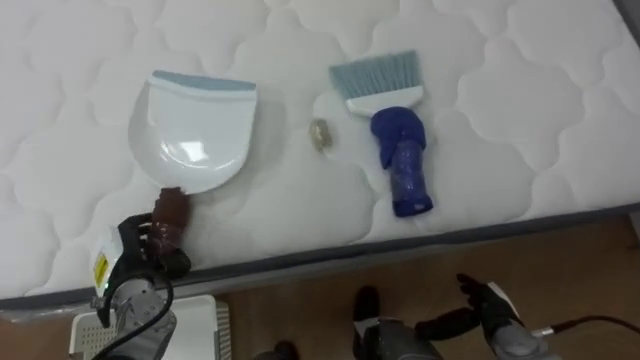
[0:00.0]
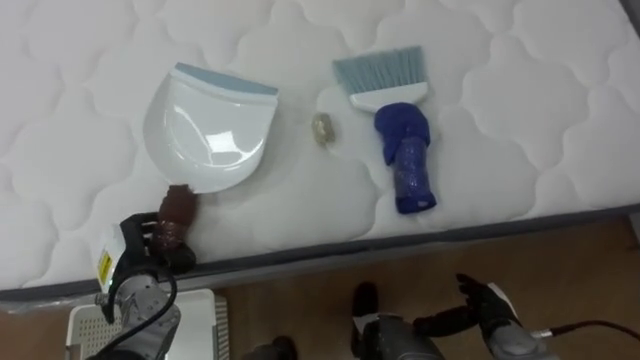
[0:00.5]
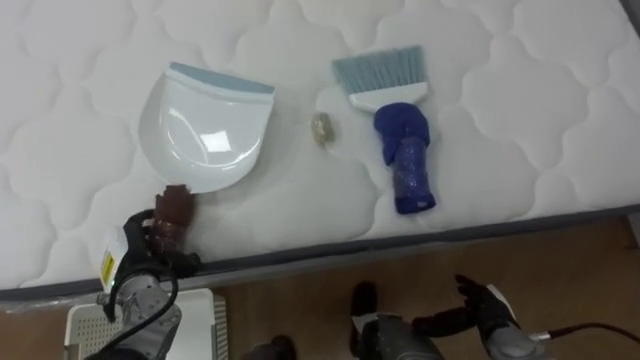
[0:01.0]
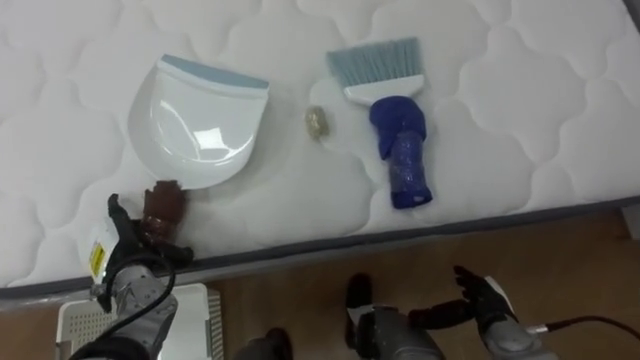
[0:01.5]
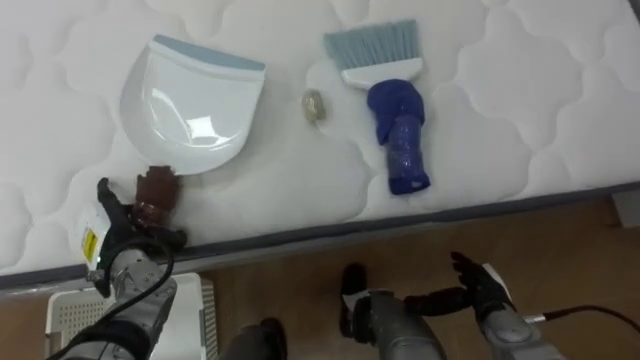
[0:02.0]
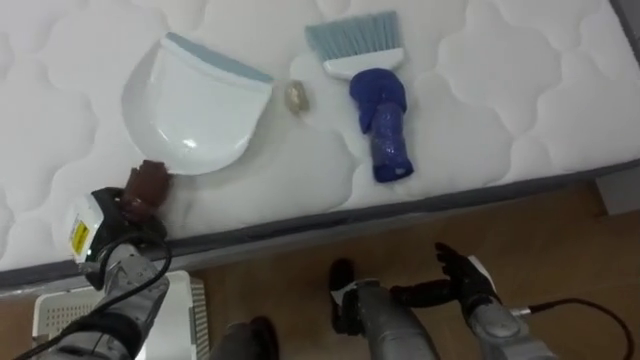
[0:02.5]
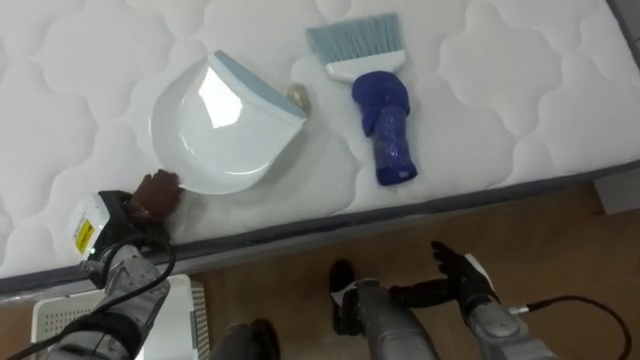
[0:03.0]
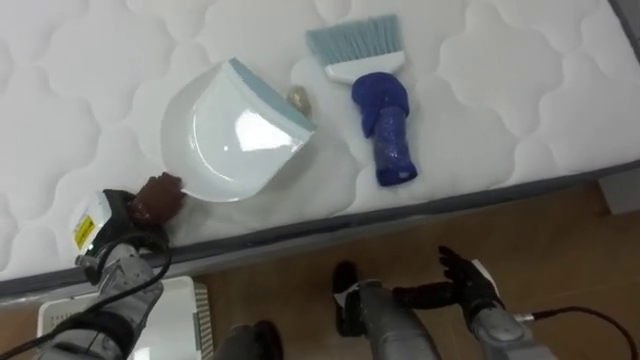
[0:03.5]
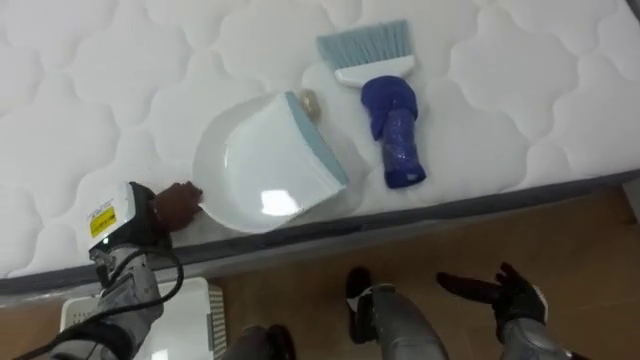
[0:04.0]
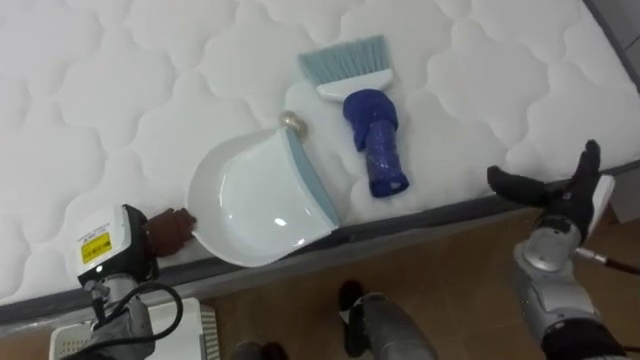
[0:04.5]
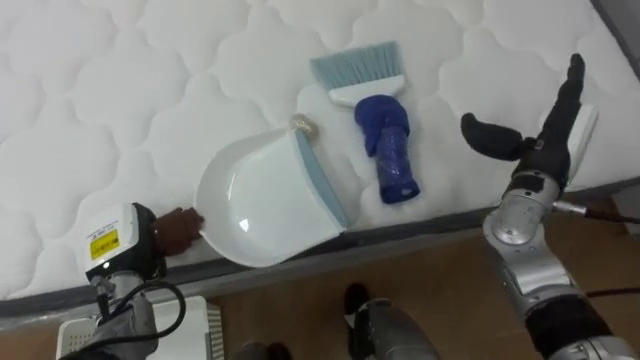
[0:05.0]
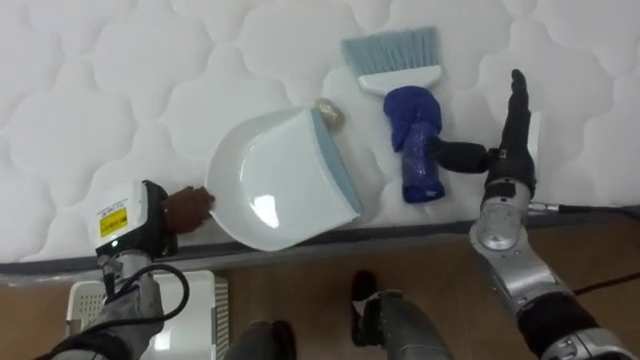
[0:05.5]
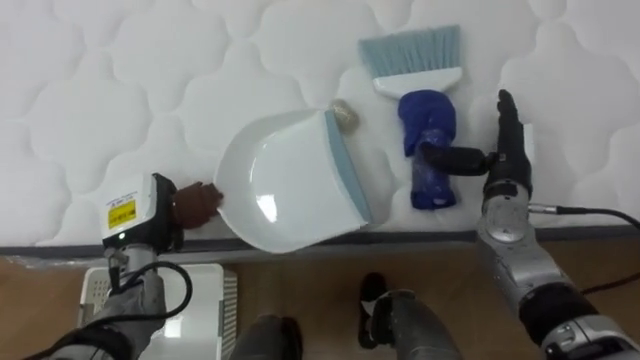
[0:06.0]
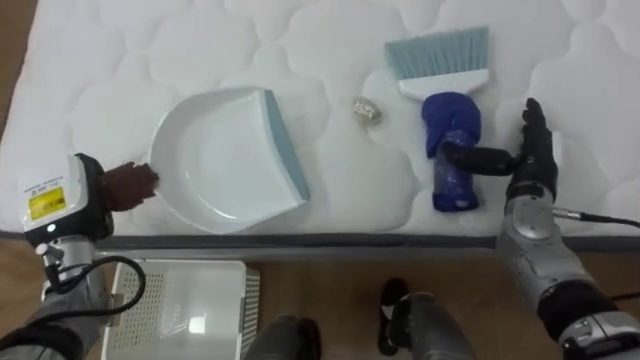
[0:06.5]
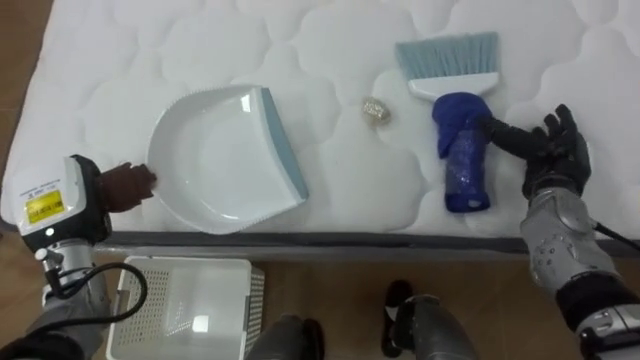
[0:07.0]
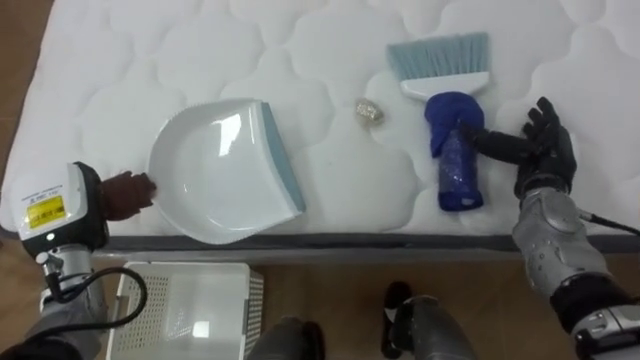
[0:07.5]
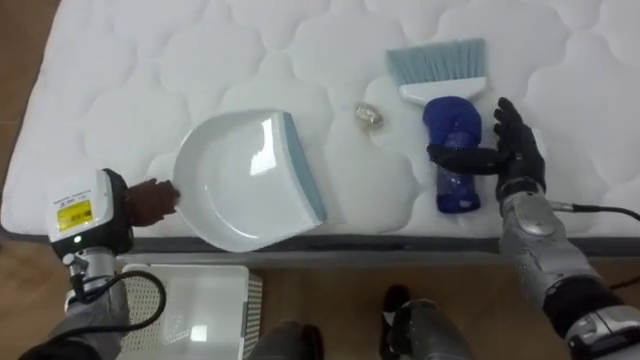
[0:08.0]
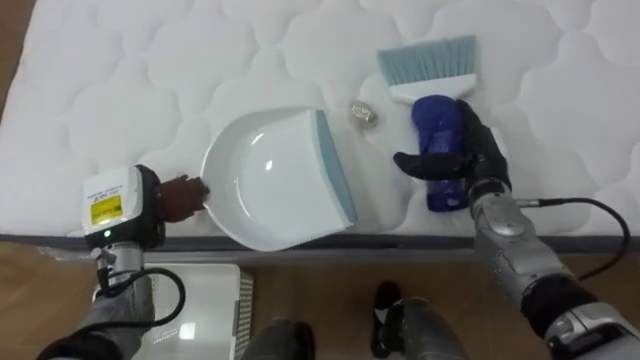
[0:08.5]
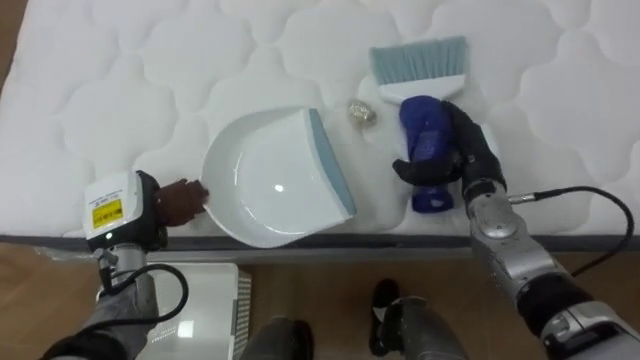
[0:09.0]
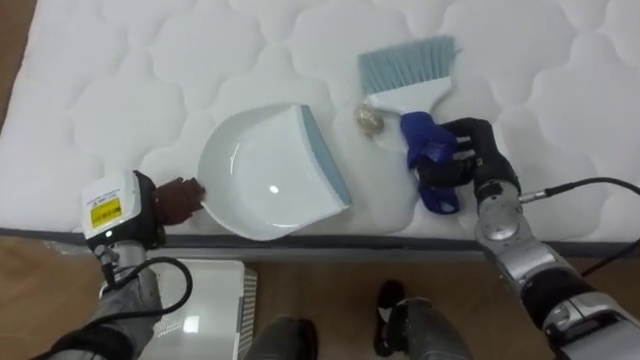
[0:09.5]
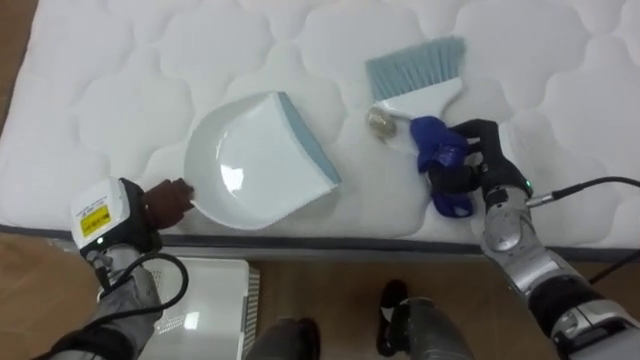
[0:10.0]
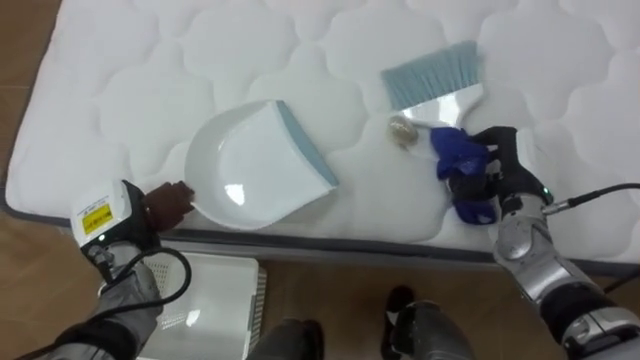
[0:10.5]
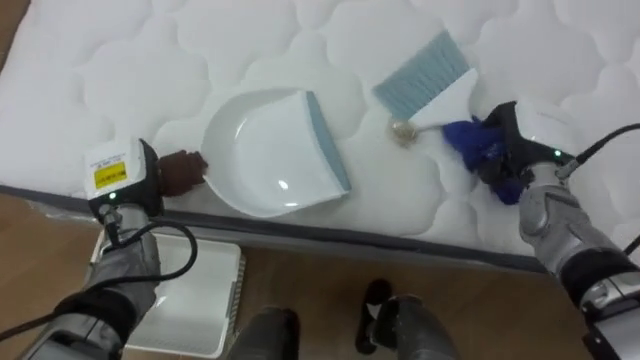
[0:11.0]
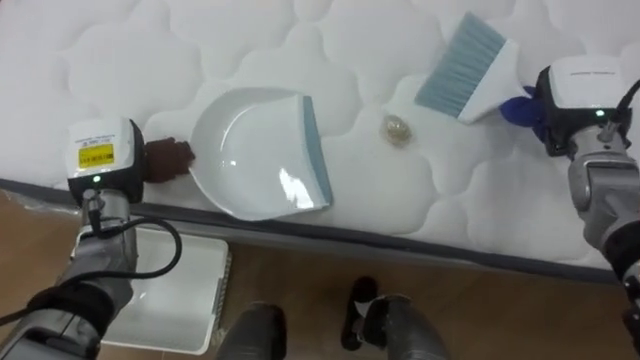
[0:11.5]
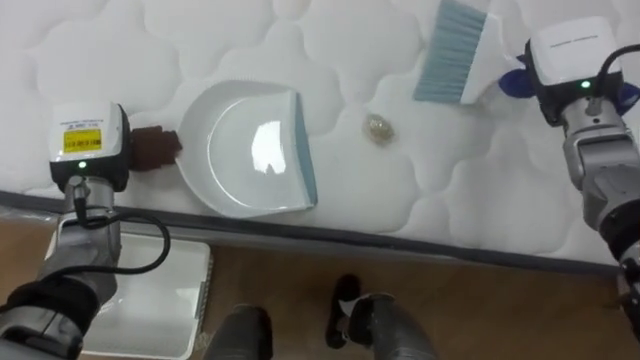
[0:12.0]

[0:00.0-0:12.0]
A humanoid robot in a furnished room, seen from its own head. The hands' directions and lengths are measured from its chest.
Task of the whole recording: Pick up the brush on your right and the dustpan on your left. Use the brush to sweep the crumpled paper on the bed into the dustpan, then turn left and empty it into the basket.
0:00.0 to 0:02.0: The left hand opens.
0:02.0 to 0:04.0: The left hand closes.
0:04.0 to 0:06.0: The right hand shifts some 20 cm upward and forward.
0:08.0 to 0:10.0: The right hand closes its fingers.
0:10.0 to 0:12.0: The left hand is displaced upward and forward by some 10 cm; the right hand shifts some 15 cm upward, forward and to the right.

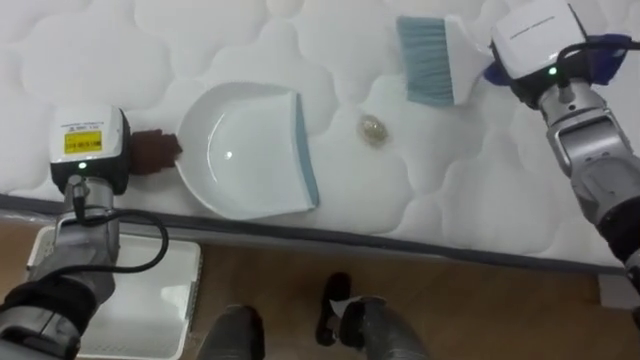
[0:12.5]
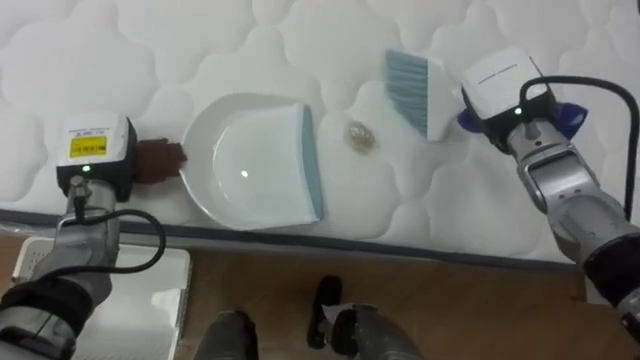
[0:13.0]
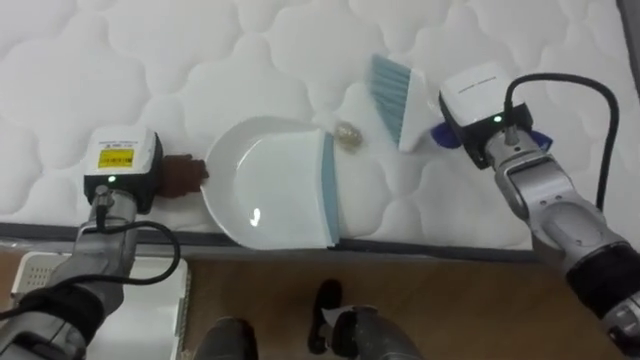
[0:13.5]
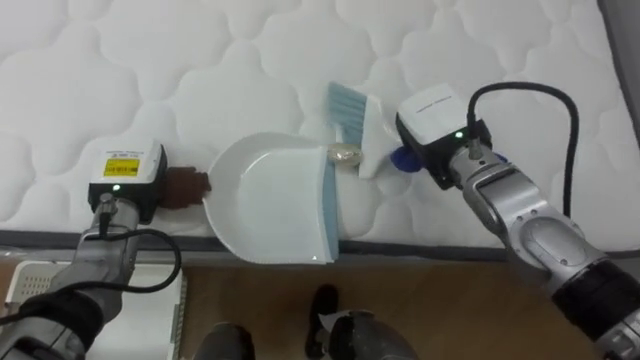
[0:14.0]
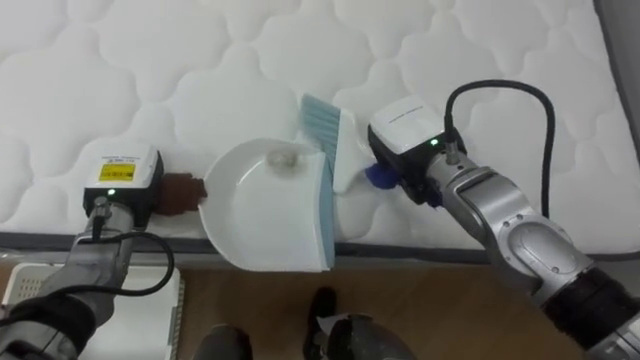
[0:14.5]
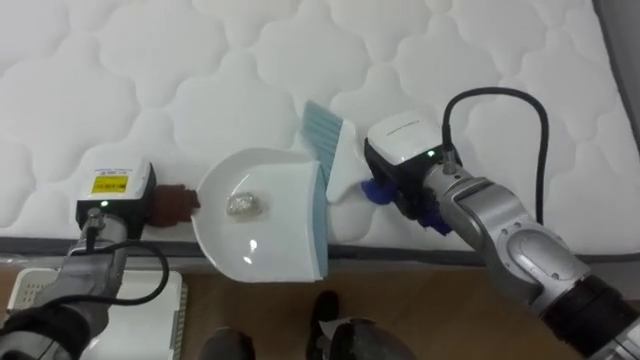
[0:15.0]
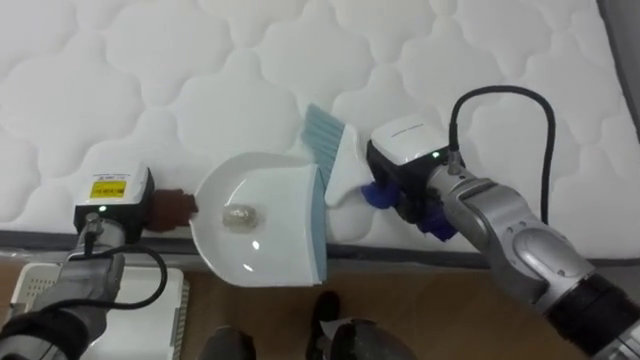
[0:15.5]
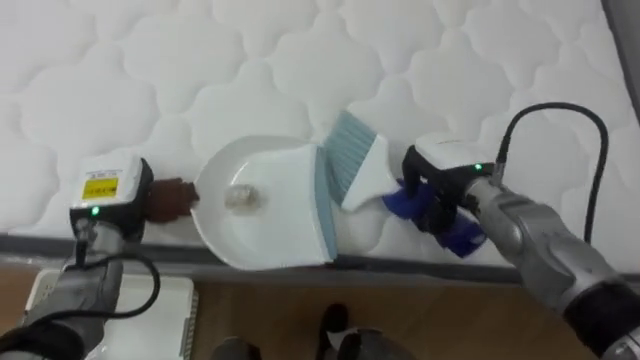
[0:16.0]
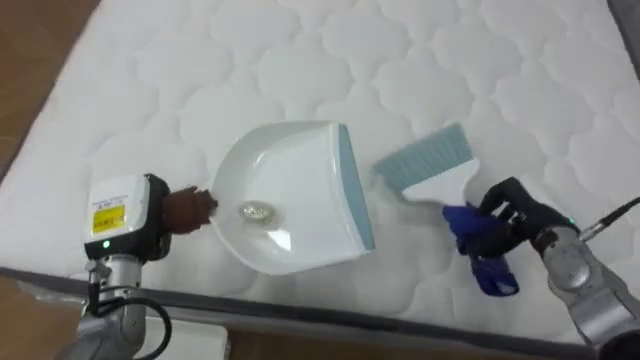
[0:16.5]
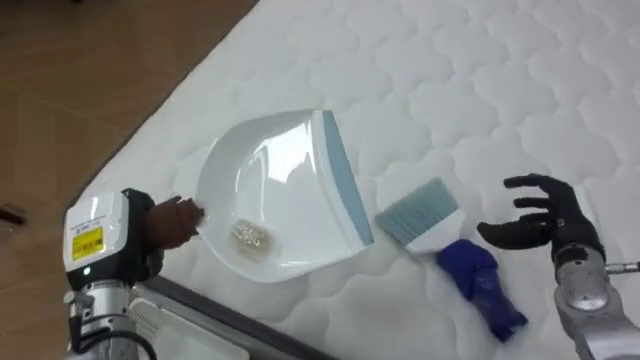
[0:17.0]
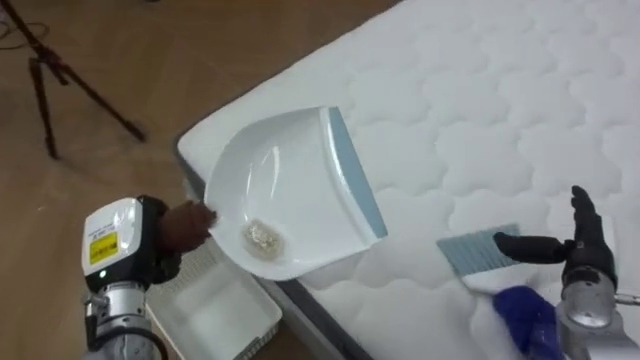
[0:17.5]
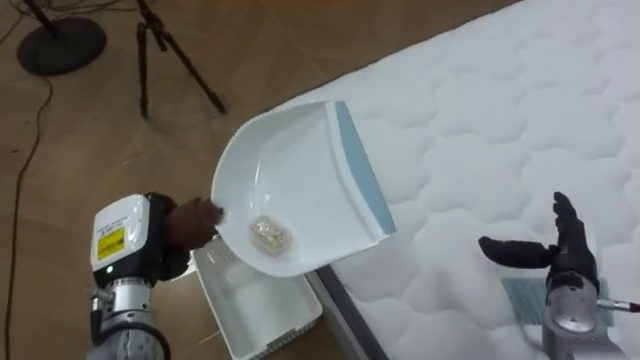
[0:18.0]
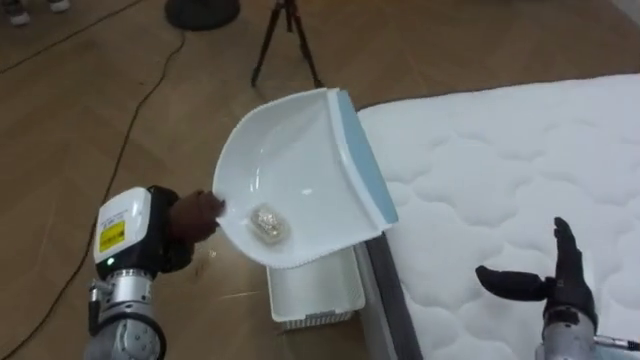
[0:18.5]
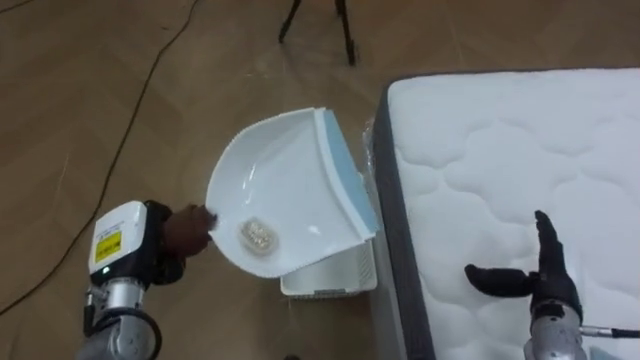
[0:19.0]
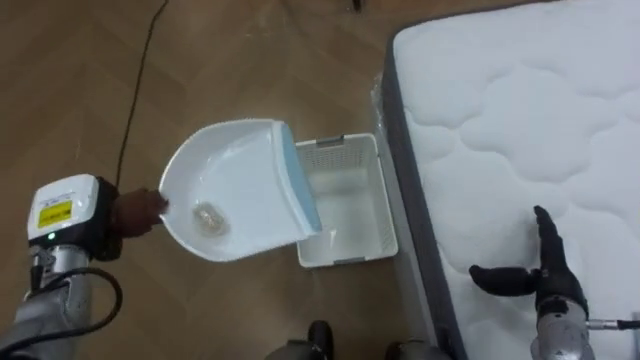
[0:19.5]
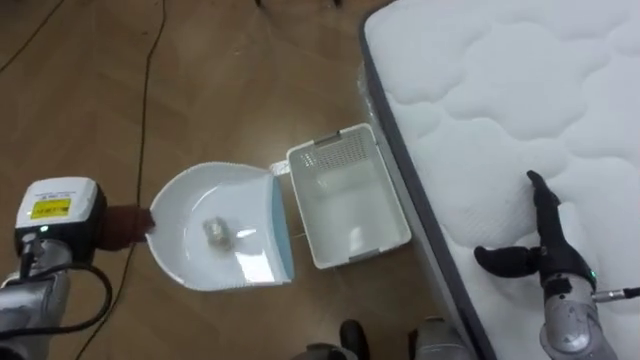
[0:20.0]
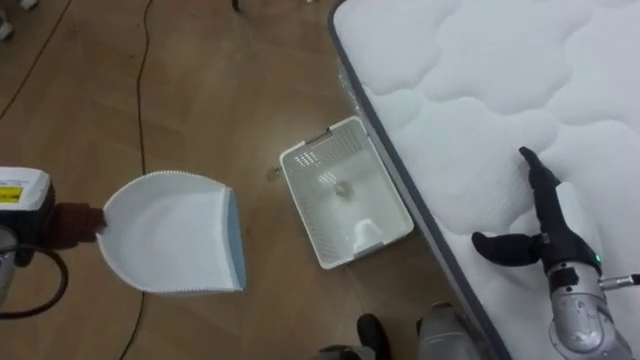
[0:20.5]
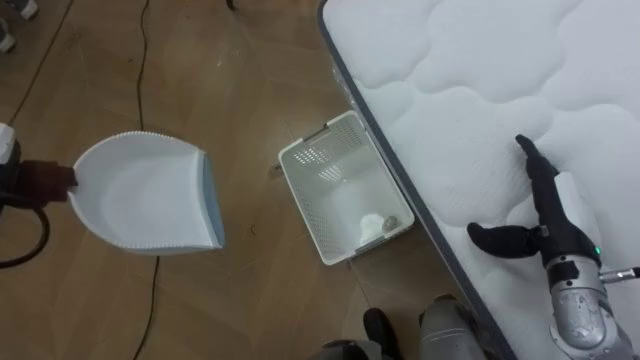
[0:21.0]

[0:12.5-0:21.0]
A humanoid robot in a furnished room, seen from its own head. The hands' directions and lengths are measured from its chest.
Task of the whole recording: Pick up the brush on your right and the dustpan on your left. Use the brush to sweep the crumpled paper on the bed into the dustpan, then turn left and empty it into the basket.
0:12.5 to 0:14.5: The right hand moves to the left, downward and backward, roughly 15 cm; the left hand moves downward, some 5 cm.
0:14.5 to 0:16.5: The right hand shifts approximately 20 cm to the right and downward; the left hand heads backward, covering approximately 5 cm.
0:16.5 to 0:19.0: The robot turns to its left by some 85 degrees. The right hand travels backward by some 10 cm, and opens.
0:19.0 to 0:21.0: The right hand goes approximately 10 cm upward.
